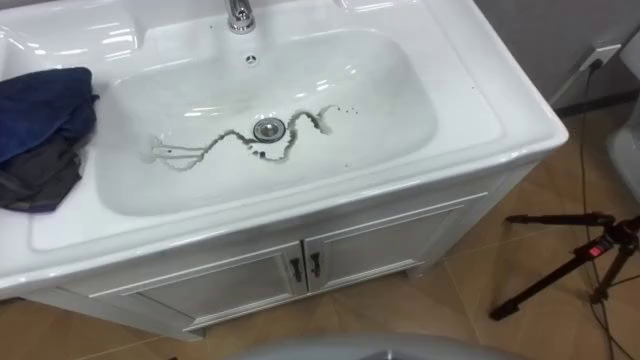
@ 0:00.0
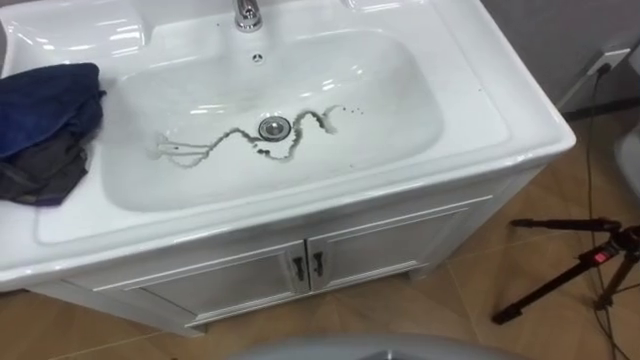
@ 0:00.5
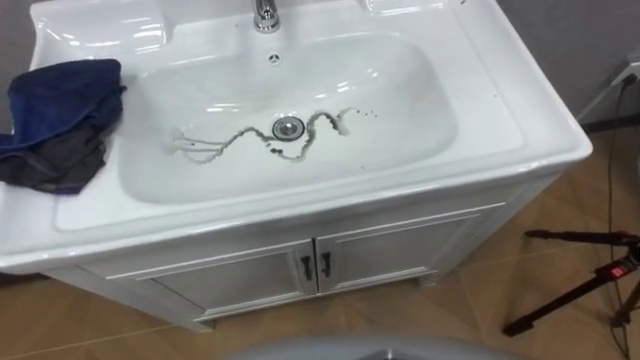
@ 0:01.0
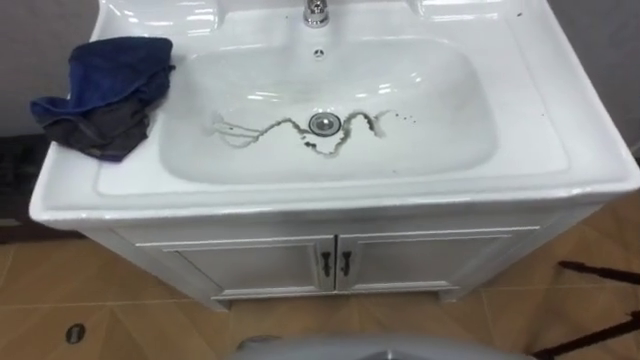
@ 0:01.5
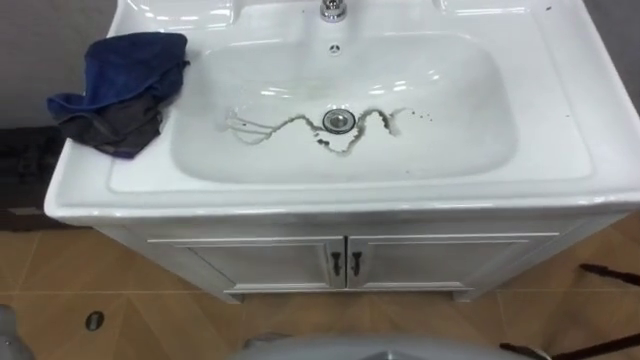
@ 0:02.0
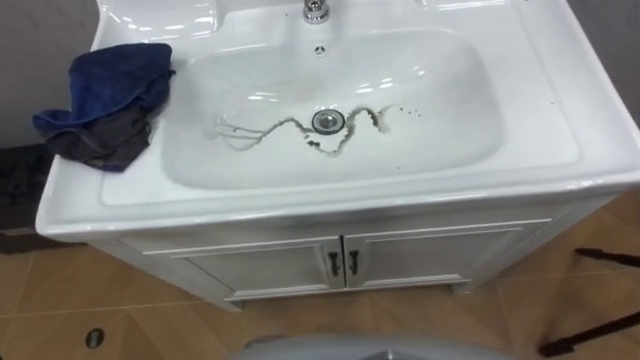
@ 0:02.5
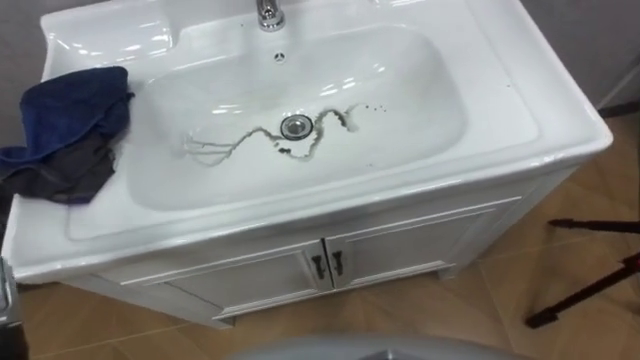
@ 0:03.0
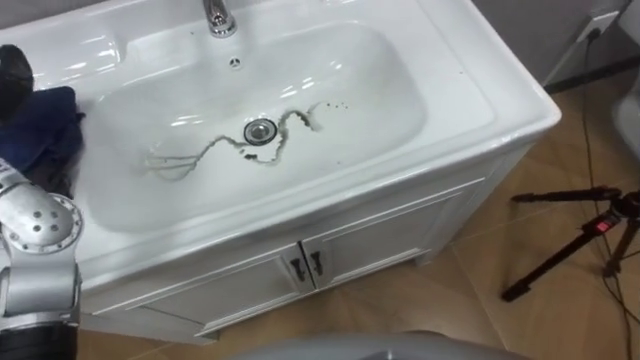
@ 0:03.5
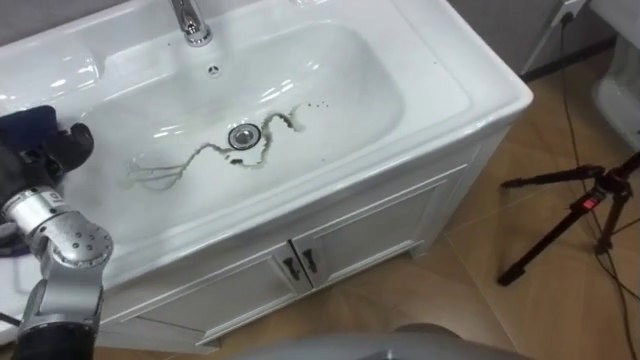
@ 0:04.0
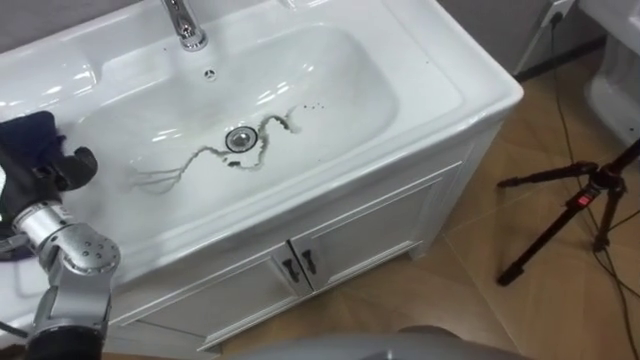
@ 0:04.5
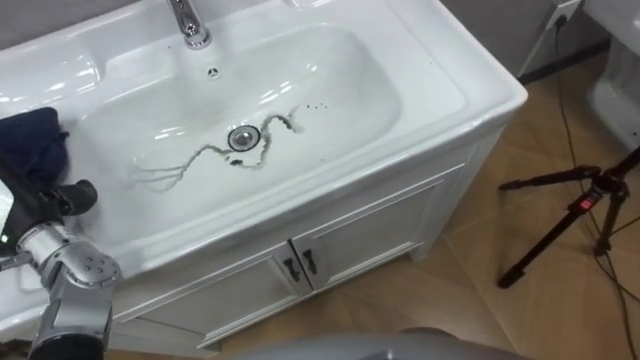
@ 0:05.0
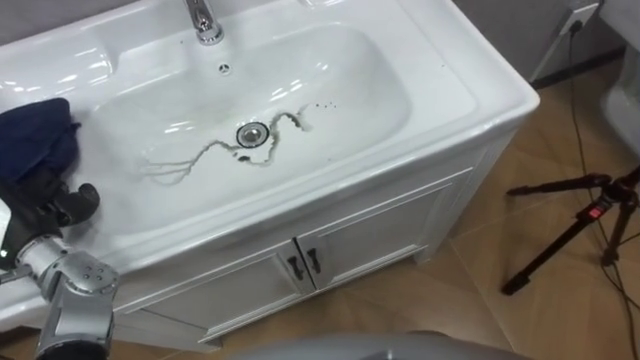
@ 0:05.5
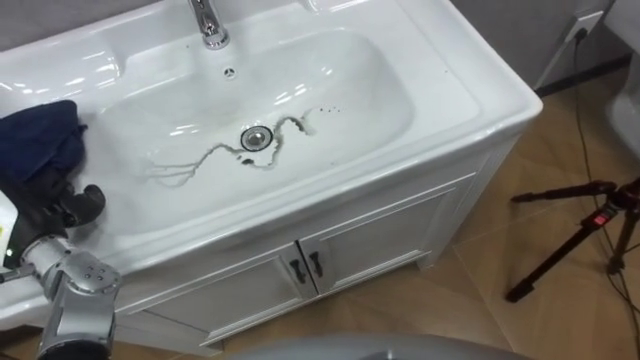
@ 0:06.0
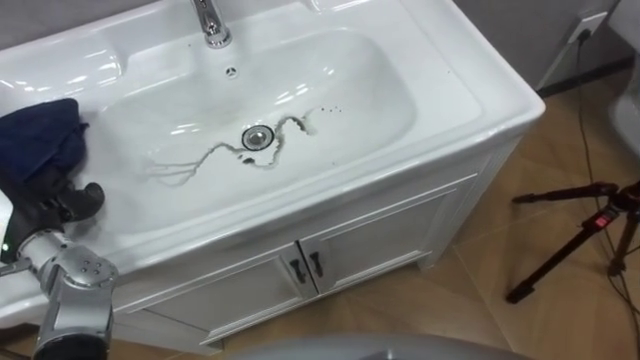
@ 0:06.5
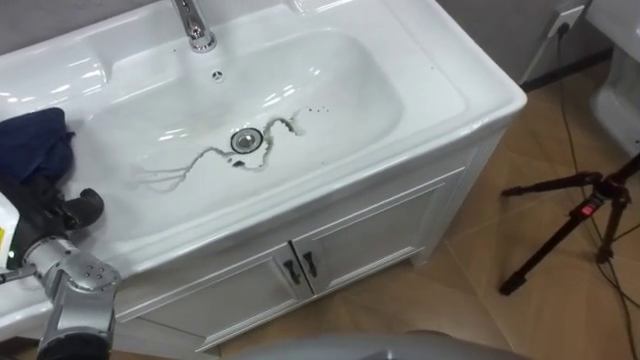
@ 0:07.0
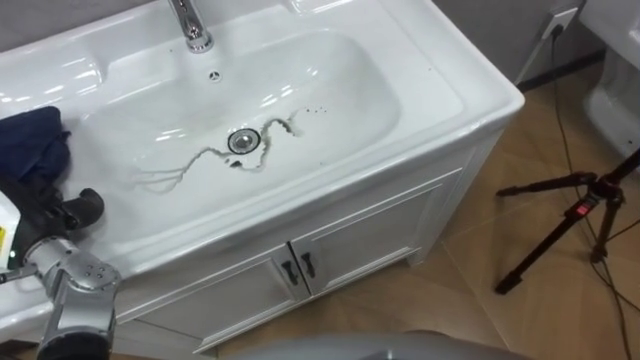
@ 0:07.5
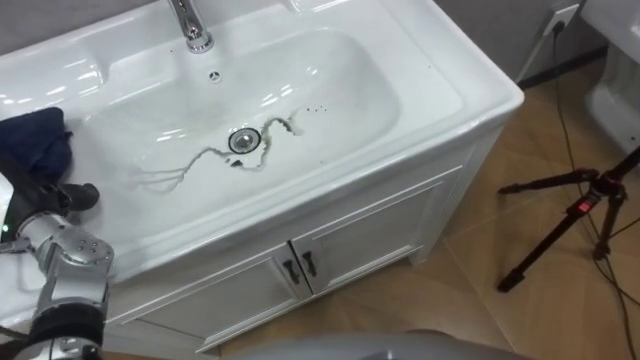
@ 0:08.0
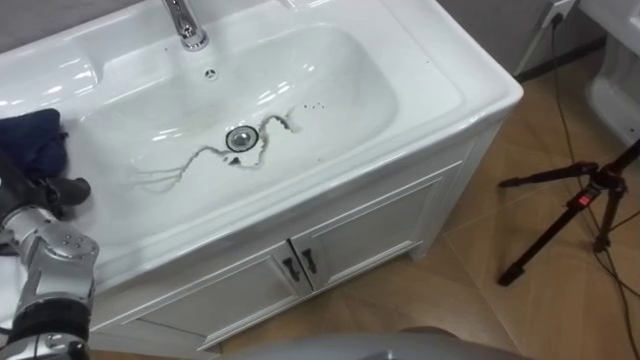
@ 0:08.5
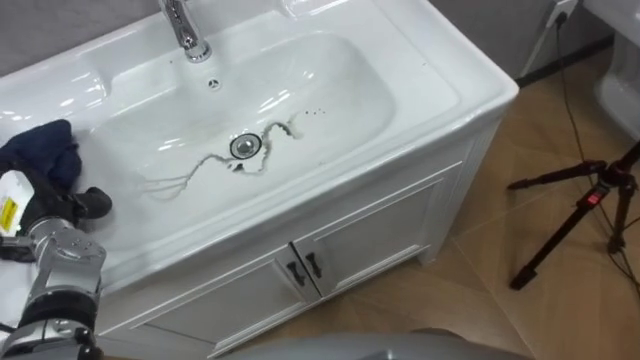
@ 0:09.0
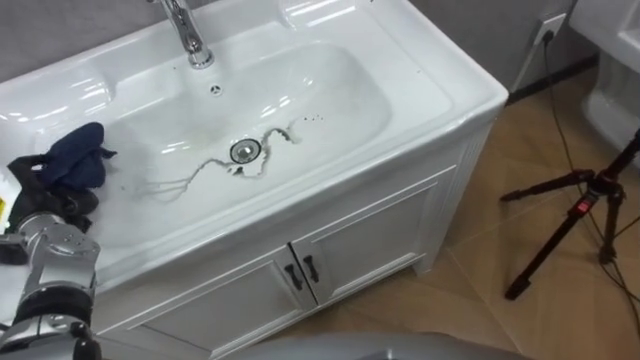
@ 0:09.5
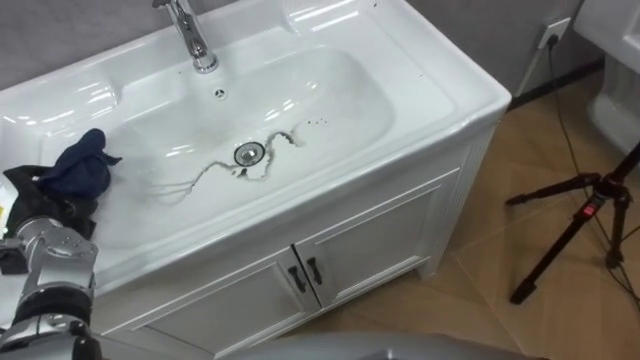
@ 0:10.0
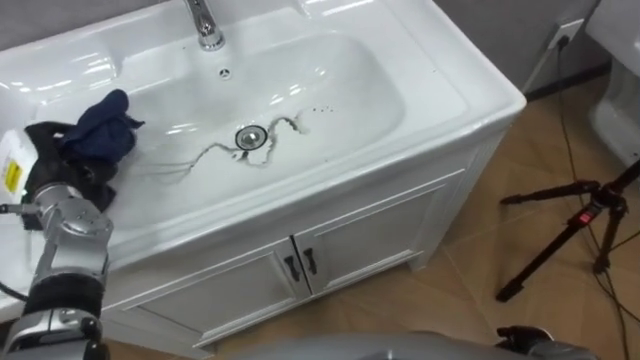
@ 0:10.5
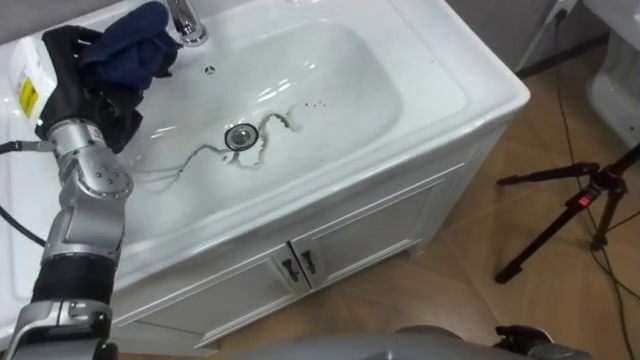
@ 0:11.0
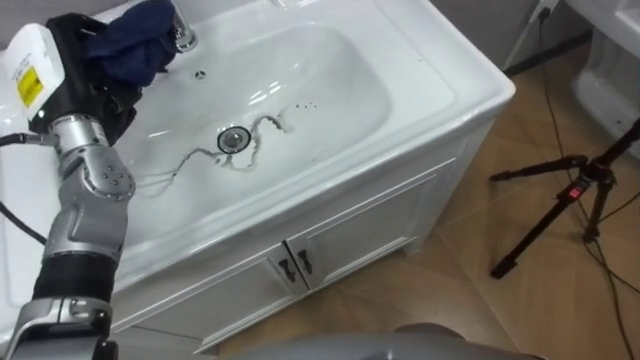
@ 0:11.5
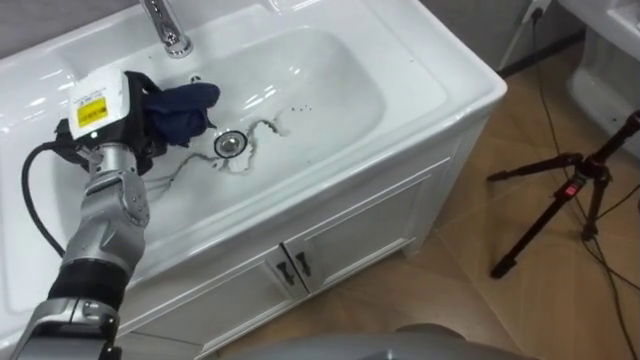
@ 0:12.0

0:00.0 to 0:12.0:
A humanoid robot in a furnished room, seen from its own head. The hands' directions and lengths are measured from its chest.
Task of the whole recording: Use the cloth on the right to wipe away the black stain in the sink.
0:10.0 to 0:12.0: The left hand is displaced to the right, forward and upward by roughly 20 cm.

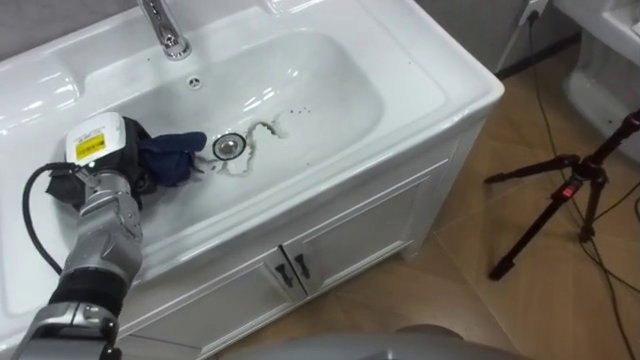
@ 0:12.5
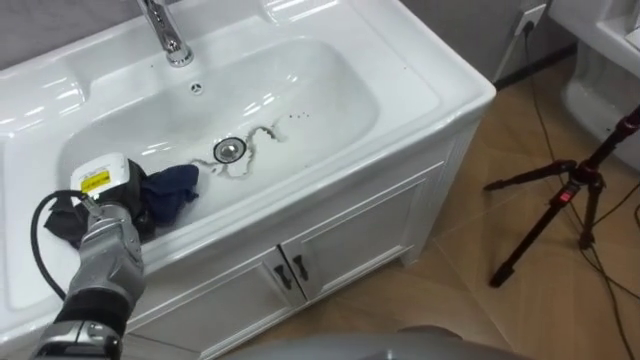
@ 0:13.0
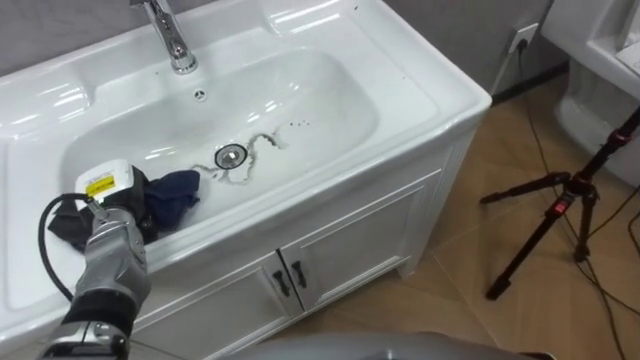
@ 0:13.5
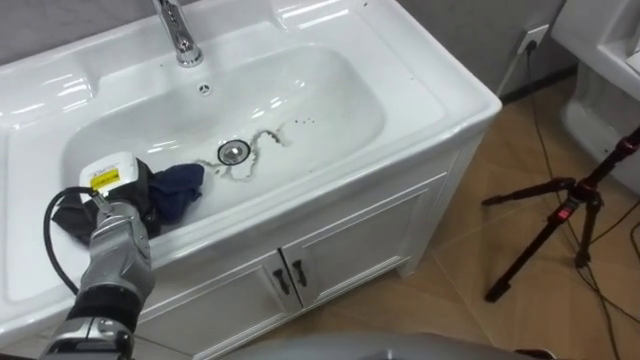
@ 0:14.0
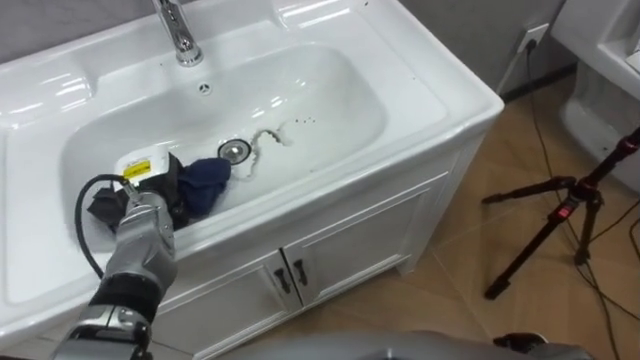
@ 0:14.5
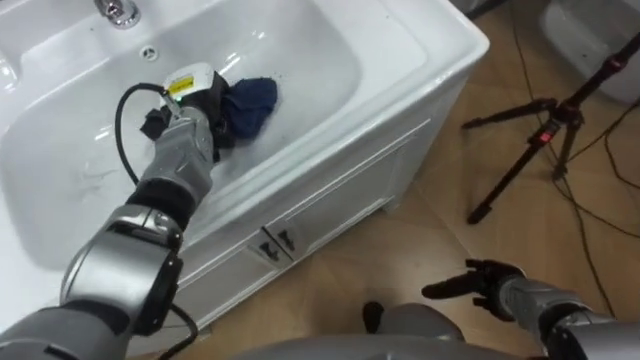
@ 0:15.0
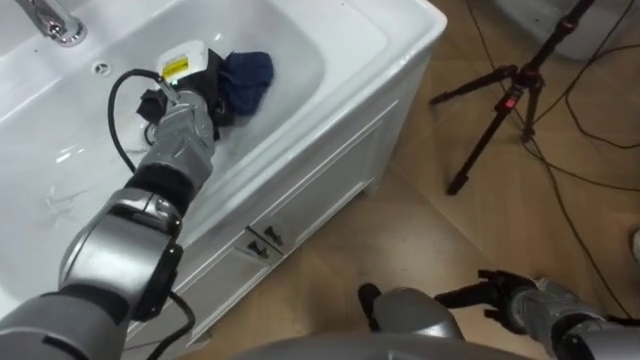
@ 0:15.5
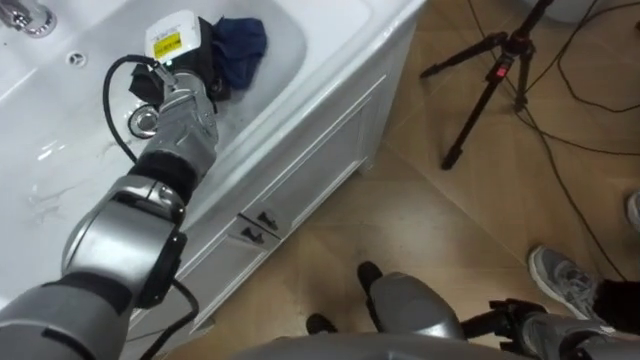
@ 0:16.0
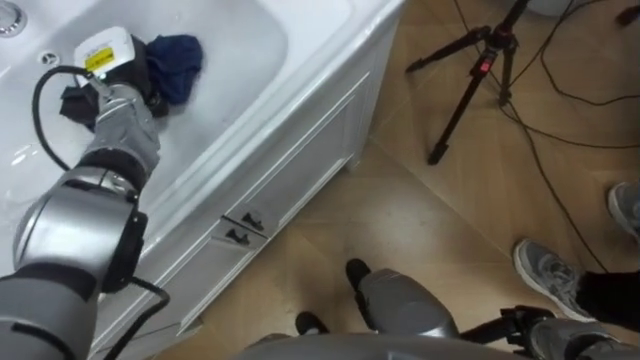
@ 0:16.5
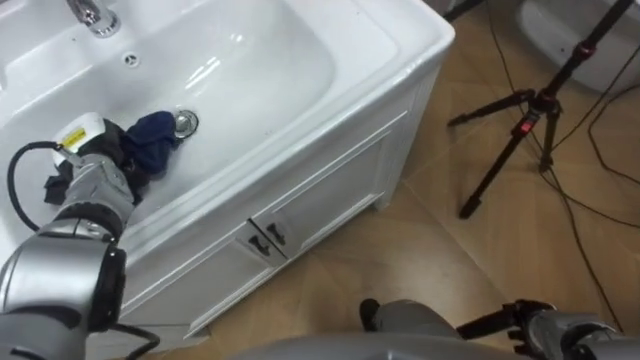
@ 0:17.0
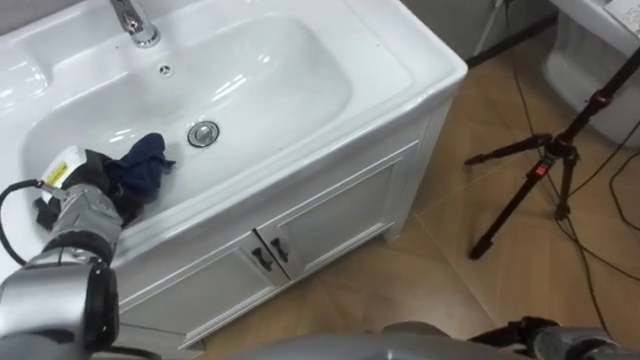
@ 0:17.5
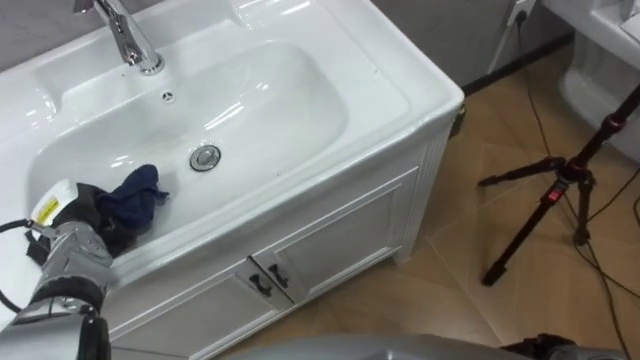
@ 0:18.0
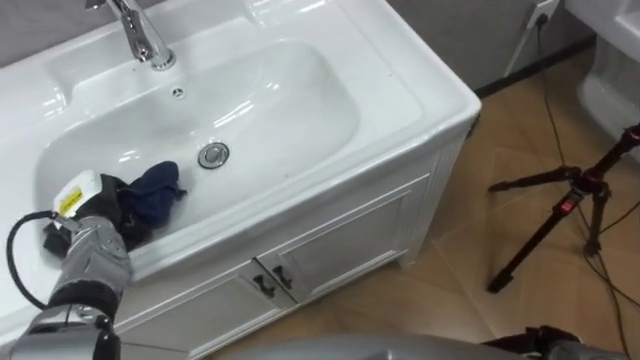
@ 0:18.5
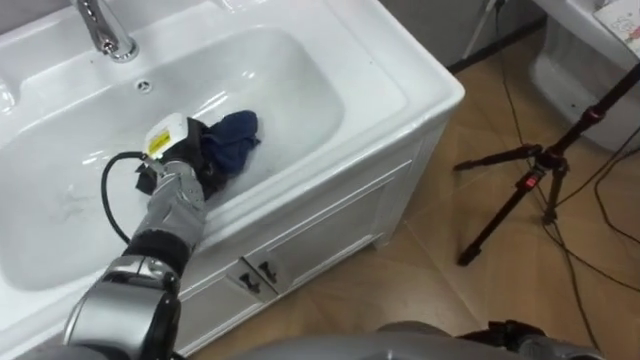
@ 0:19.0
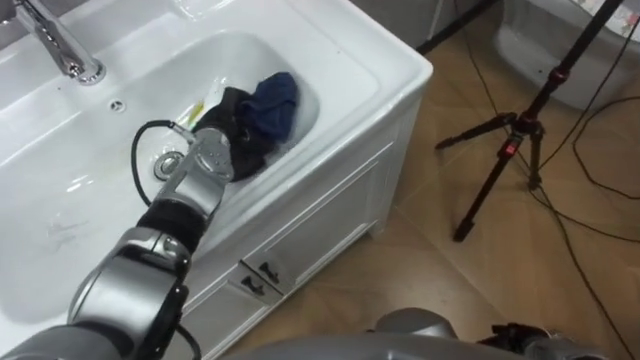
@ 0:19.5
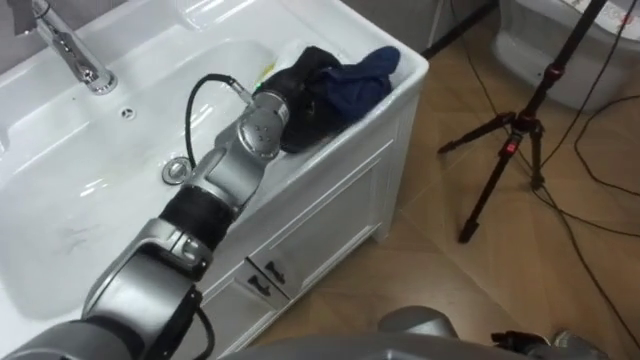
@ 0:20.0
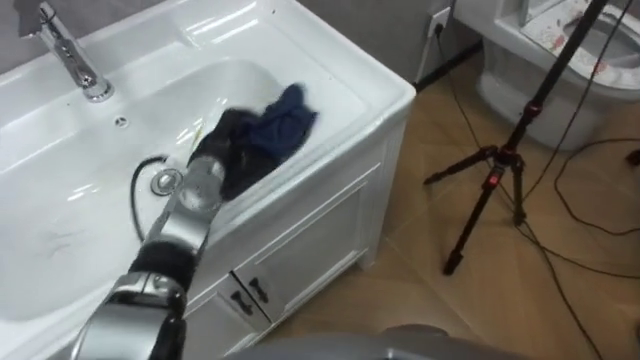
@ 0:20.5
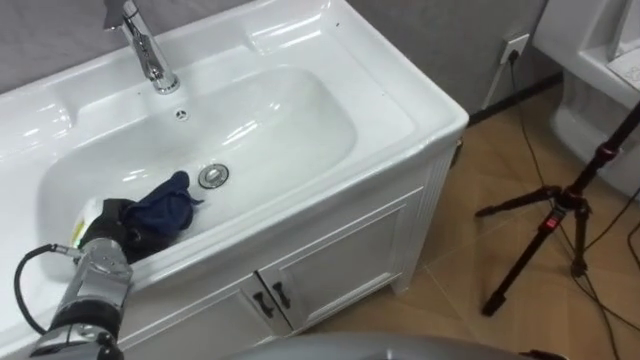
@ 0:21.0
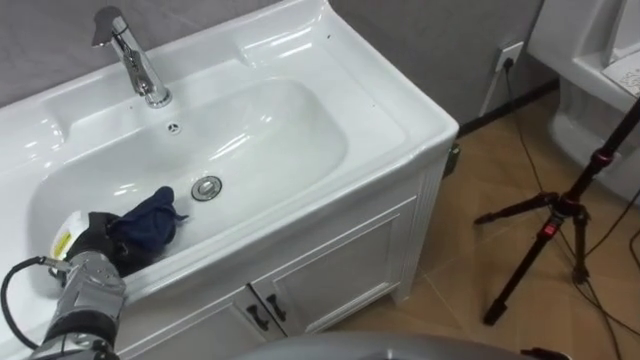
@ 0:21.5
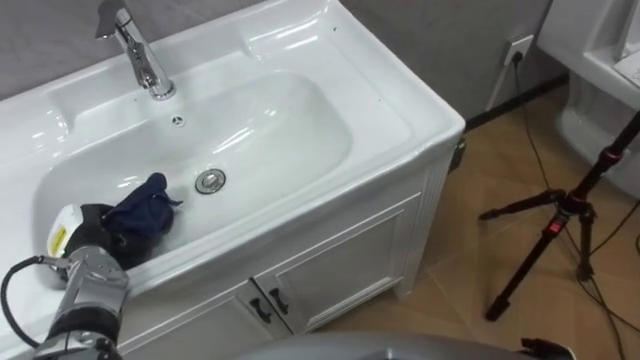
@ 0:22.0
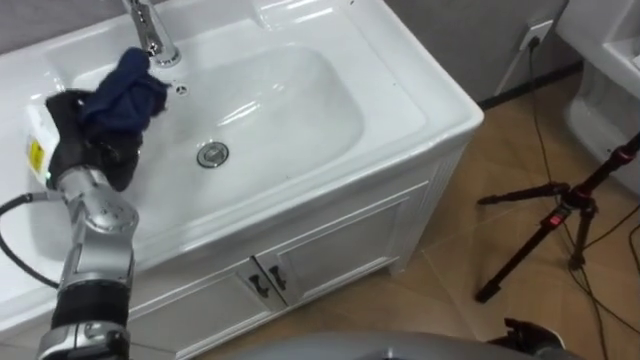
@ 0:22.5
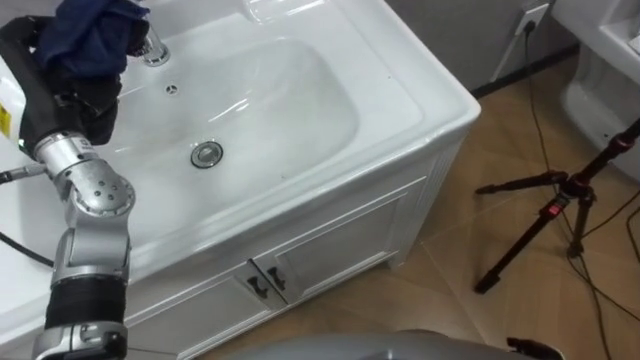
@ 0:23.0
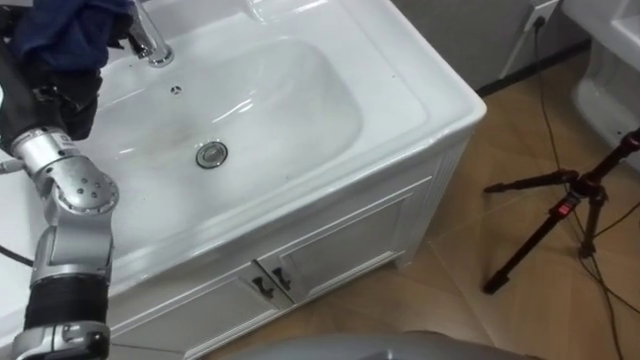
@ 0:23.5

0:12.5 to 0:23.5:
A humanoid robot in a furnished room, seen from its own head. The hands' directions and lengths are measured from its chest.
Task of the whole recording: Use the cloth on the right to wipe away the black stain in the sink.
0:12.5 to 0:14.5: The left hand moves downward, approximately 5 cm.
0:14.5 to 0:16.0: The left hand travels forward, upward and to the right by about 20 cm.
0:16.0 to 0:18.0: The left hand heads backward, to the left and downward, covering about 30 cm.
0:18.0 to 0:20.0: The left hand is displaced to the right, forward and upward by approximately 35 cm.
0:20.0 to 0:21.5: The left hand shifts approximately 40 cm to the left, backward and downward.
